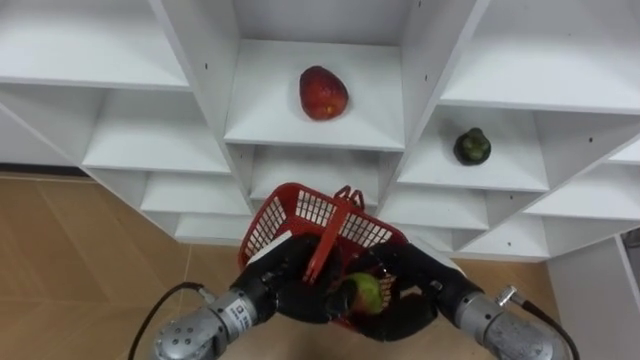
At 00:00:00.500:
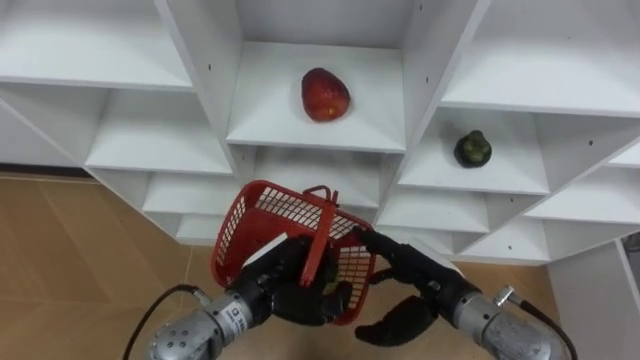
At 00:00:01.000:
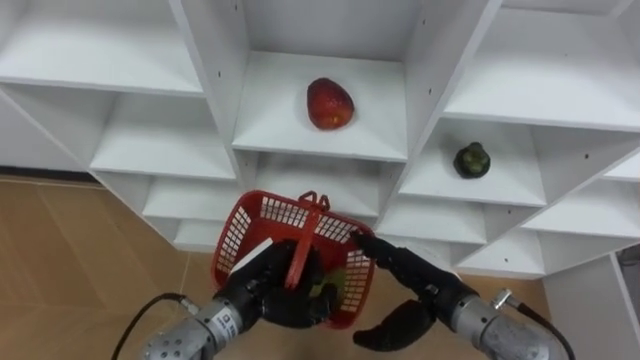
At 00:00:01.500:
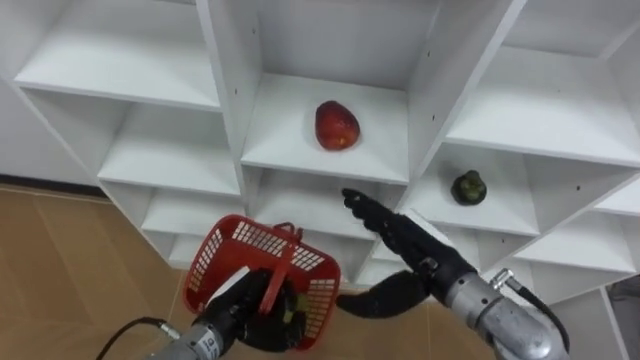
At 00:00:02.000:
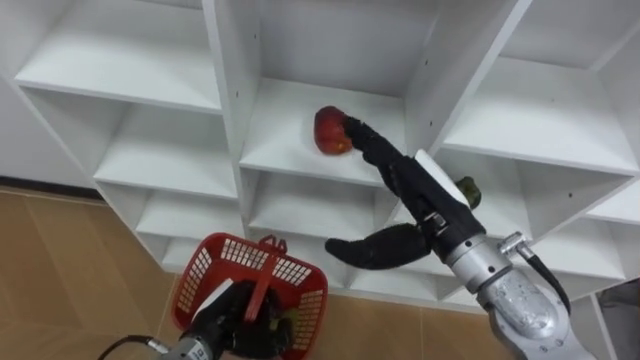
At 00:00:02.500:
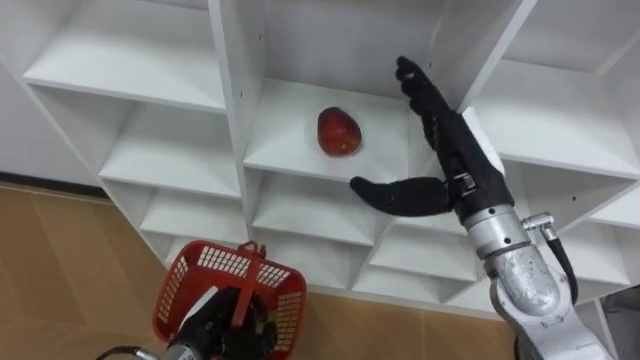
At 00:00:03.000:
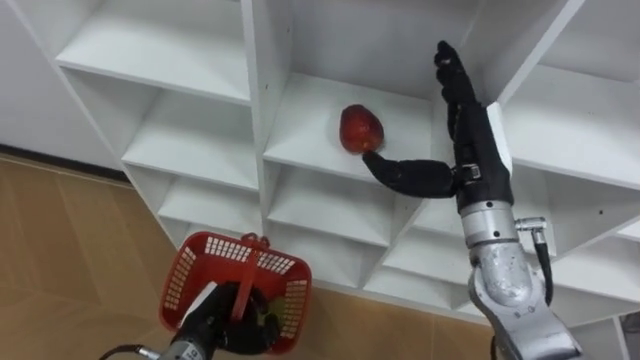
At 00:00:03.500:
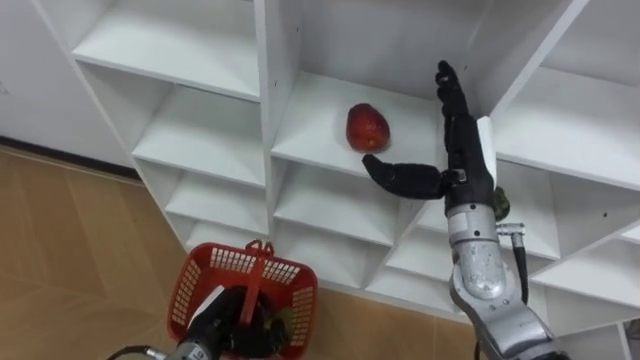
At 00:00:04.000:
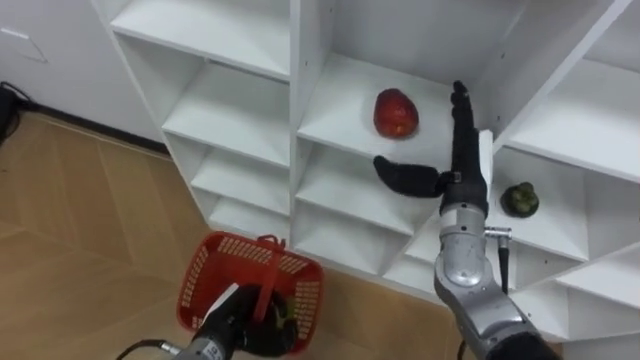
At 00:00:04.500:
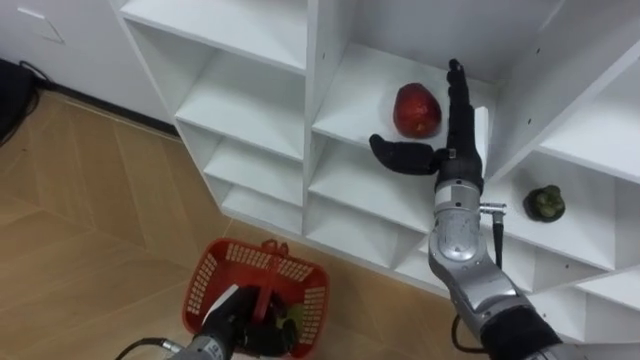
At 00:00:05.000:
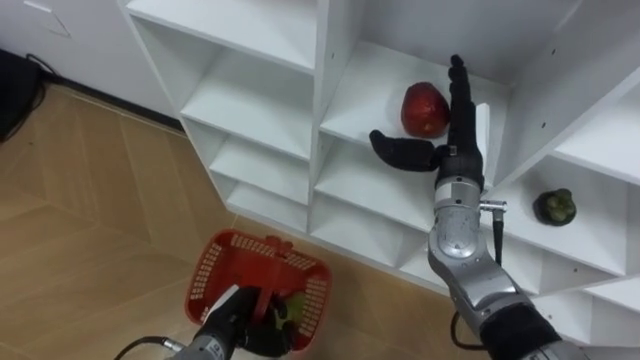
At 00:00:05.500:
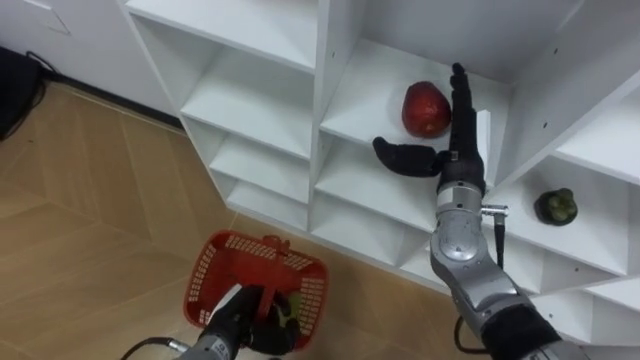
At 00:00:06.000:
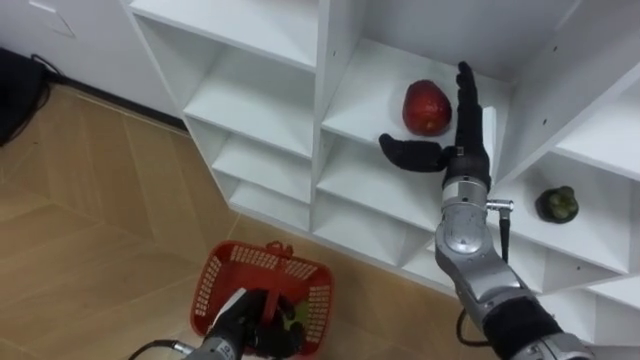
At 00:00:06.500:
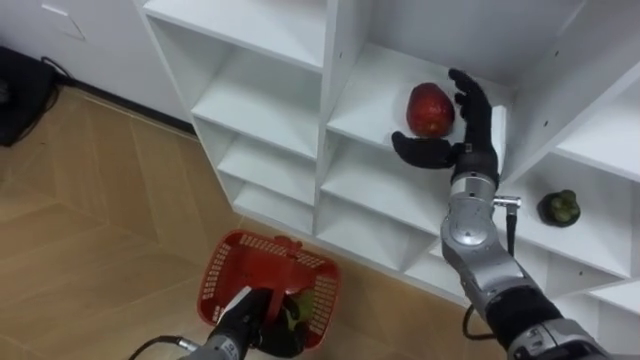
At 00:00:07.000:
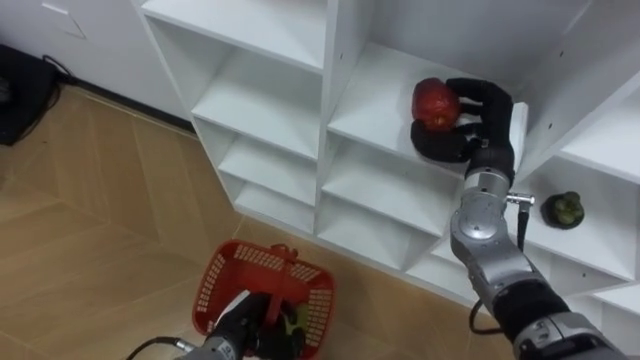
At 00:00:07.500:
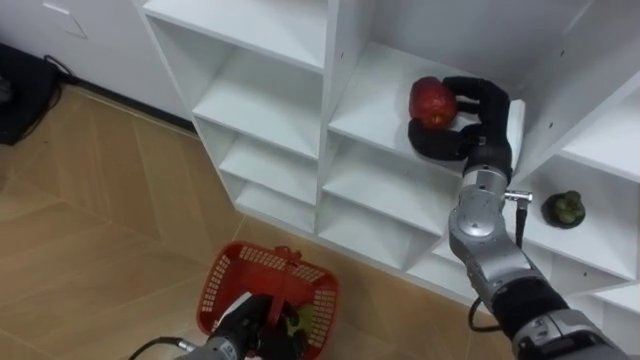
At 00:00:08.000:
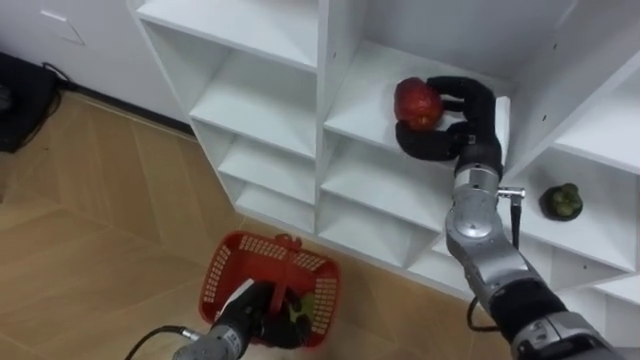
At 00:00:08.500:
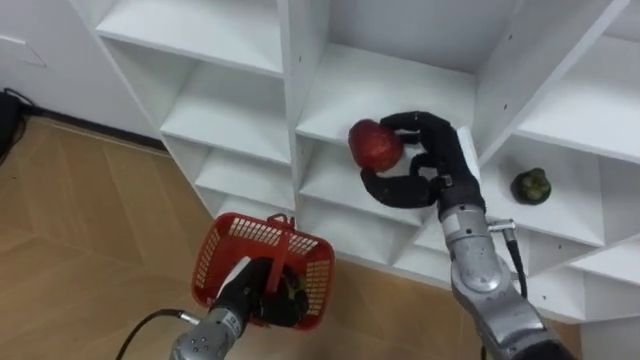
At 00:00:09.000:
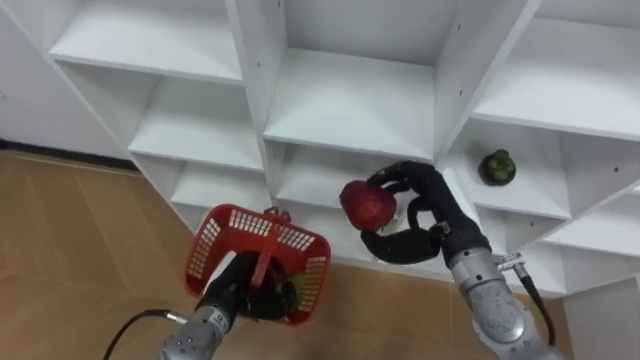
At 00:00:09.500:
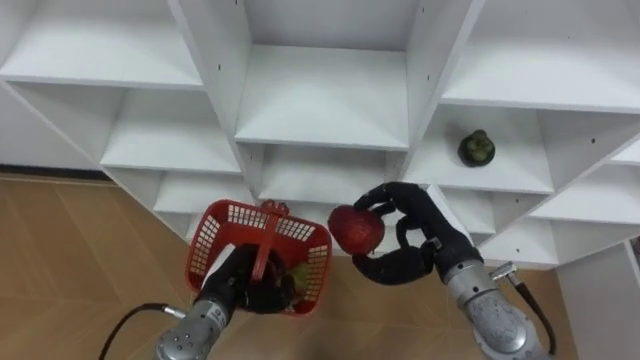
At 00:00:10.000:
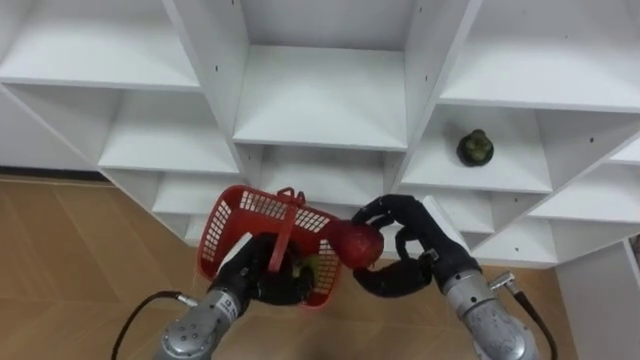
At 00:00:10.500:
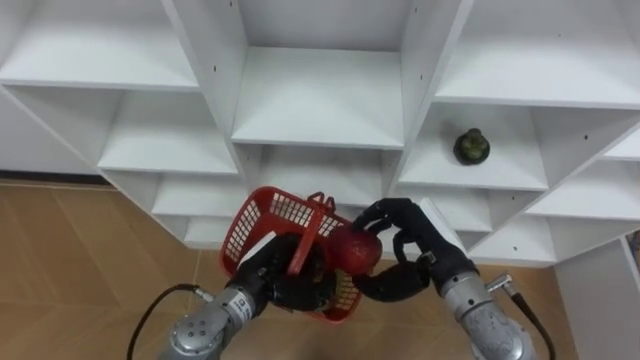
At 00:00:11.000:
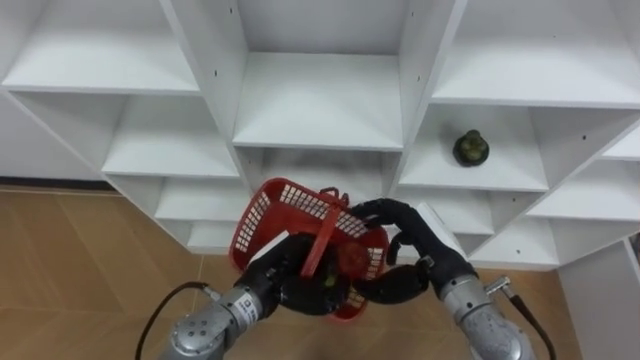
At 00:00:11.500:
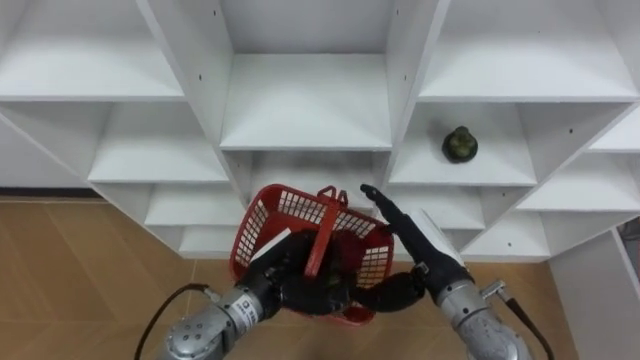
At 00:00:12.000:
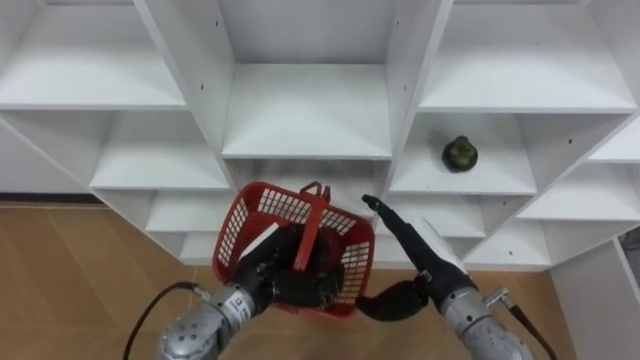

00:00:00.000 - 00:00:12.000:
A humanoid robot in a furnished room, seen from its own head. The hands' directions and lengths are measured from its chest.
Task of the whole recording: Hold the basket and collect the fruits from 3 different cells of the closet into it.
00:00:00.000 - 00:00:02.000: The left hand travels to the left and downward by some 10 cm, while the right hand moves upward, about 10 cm, and opens.
00:00:02.000 - 00:00:04.000: The right hand goes some 10 cm forward and to the right.
00:00:06.000 - 00:00:08.000: The right hand closes its fingers.
00:00:08.000 - 00:00:10.000: The left hand travels upward by about 5 cm, while the right hand goes some 15 cm backward and downward.
00:00:10.000 - 00:00:12.000: The left hand moves about 5 cm. The right hand opens its fingers.

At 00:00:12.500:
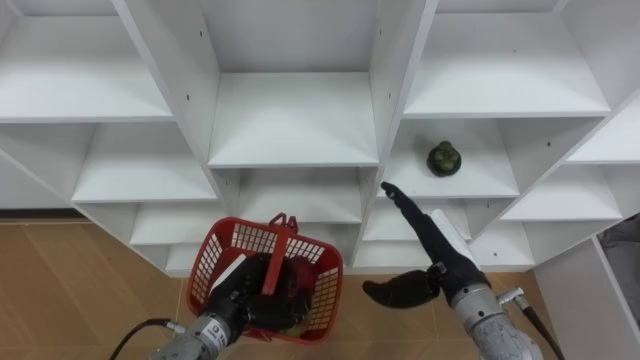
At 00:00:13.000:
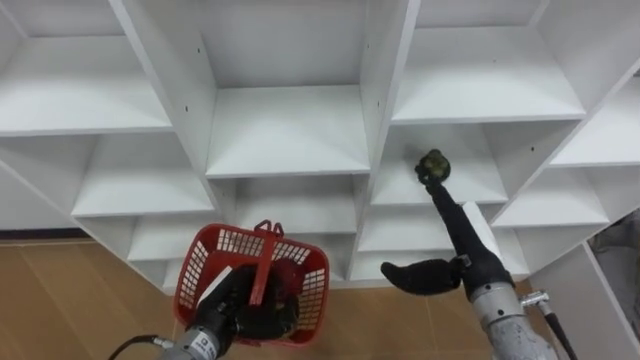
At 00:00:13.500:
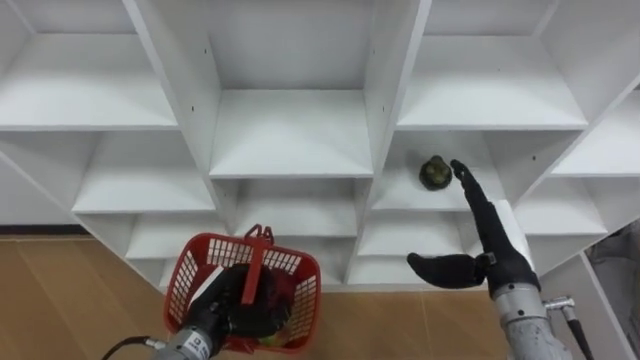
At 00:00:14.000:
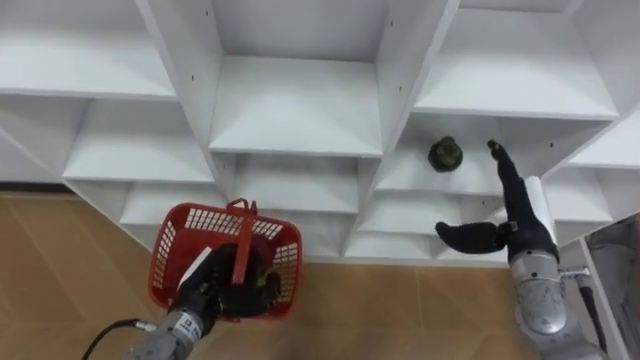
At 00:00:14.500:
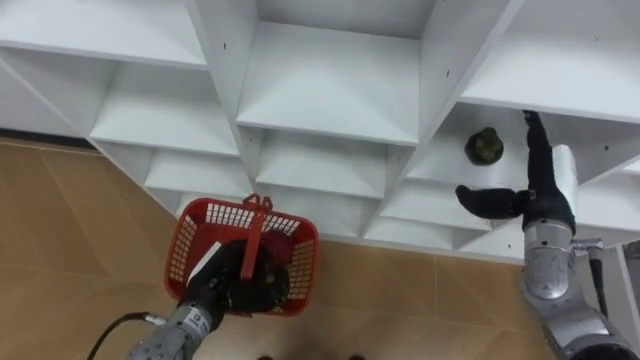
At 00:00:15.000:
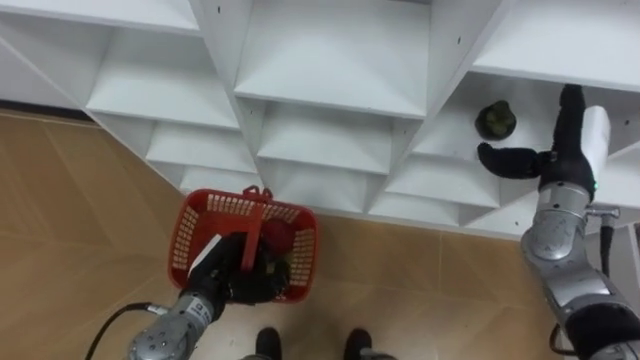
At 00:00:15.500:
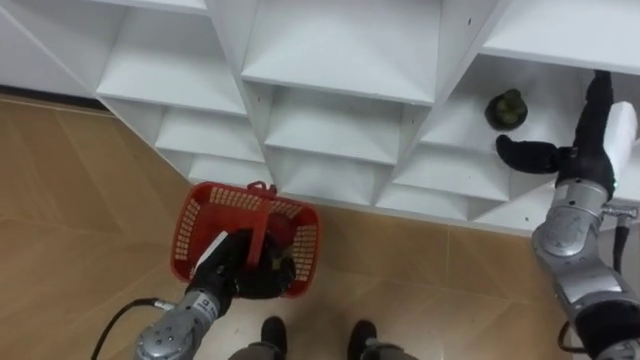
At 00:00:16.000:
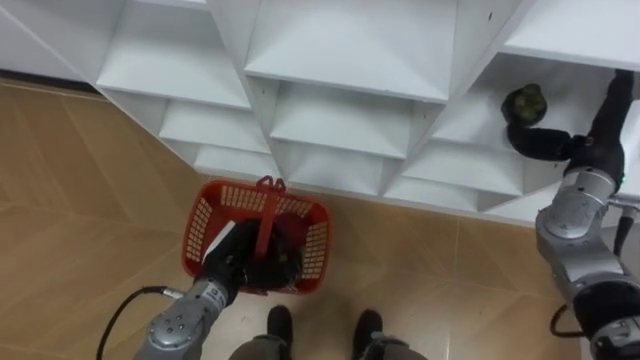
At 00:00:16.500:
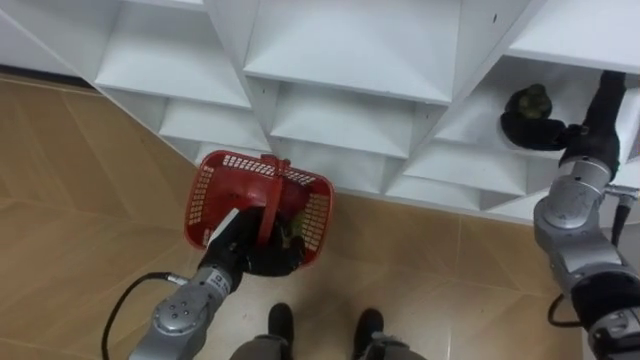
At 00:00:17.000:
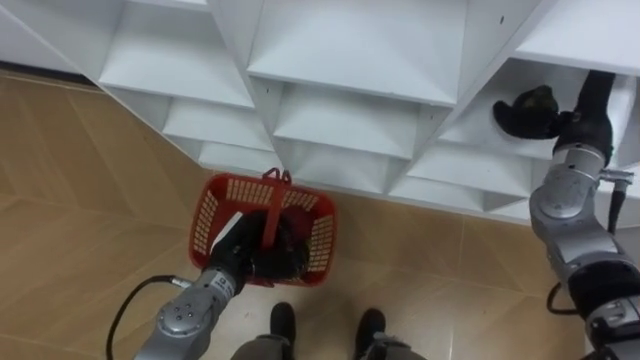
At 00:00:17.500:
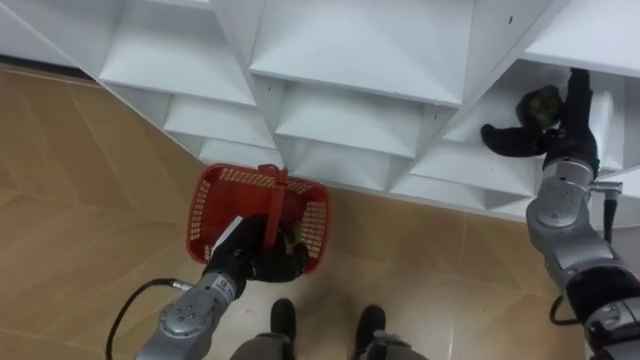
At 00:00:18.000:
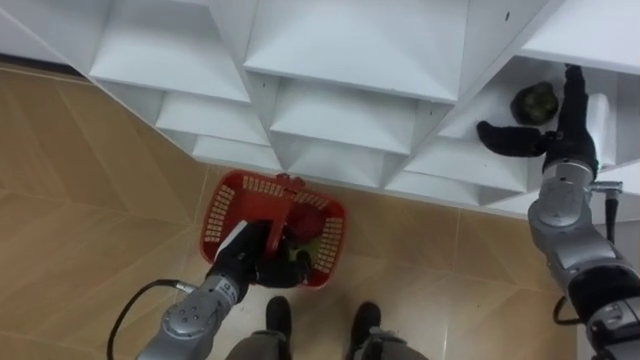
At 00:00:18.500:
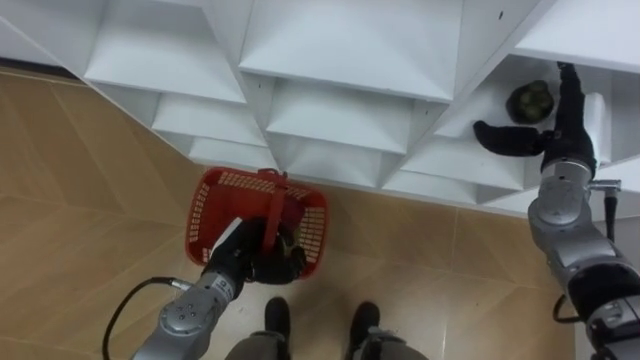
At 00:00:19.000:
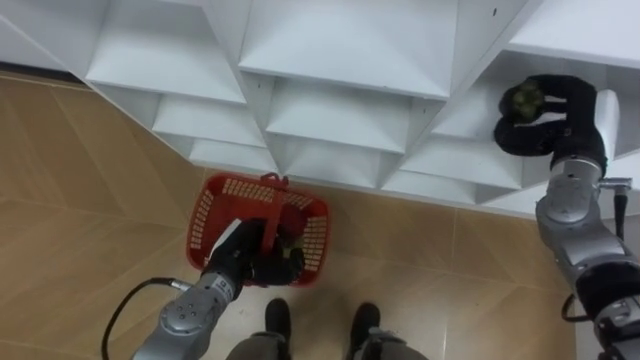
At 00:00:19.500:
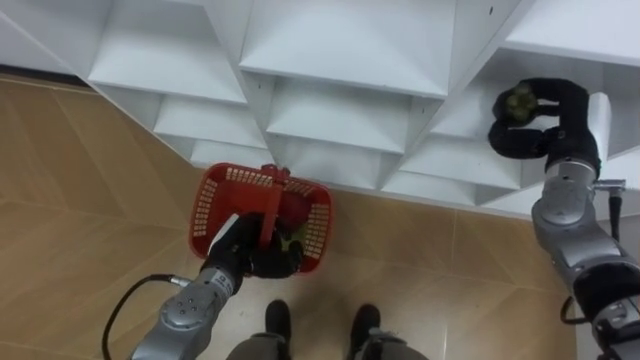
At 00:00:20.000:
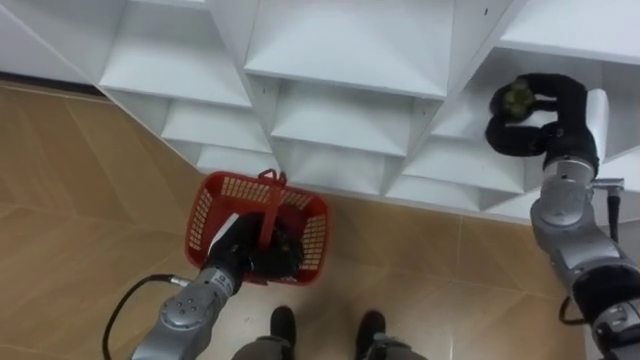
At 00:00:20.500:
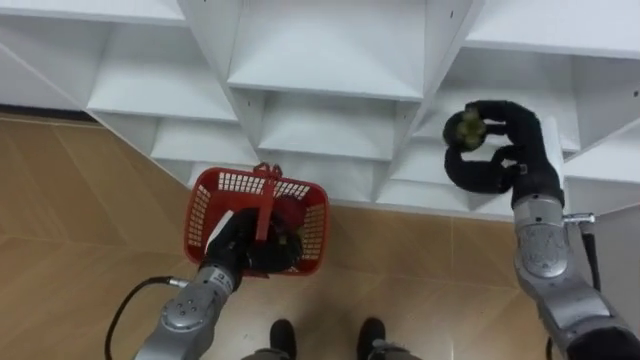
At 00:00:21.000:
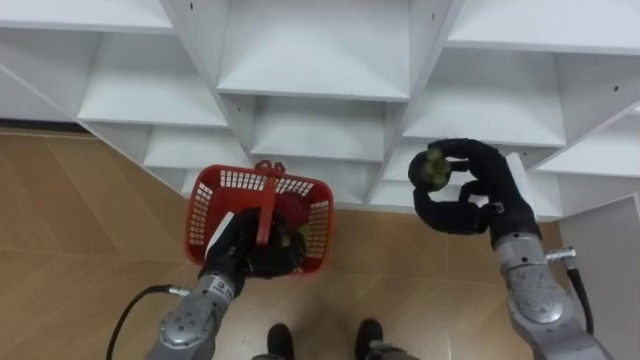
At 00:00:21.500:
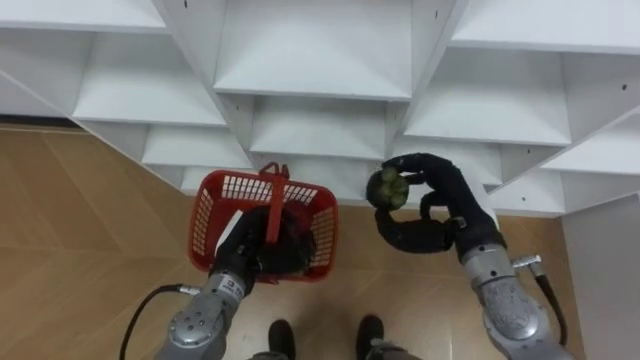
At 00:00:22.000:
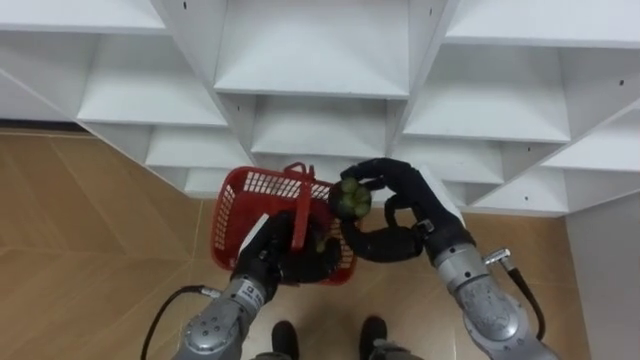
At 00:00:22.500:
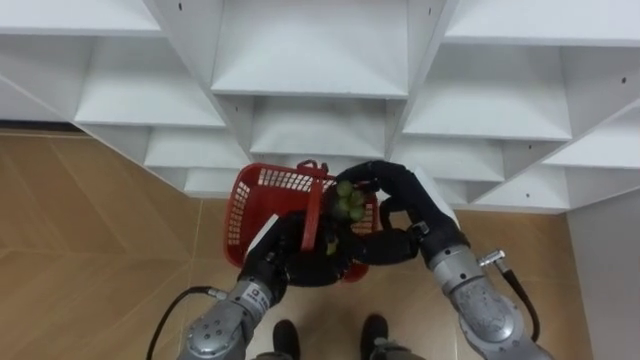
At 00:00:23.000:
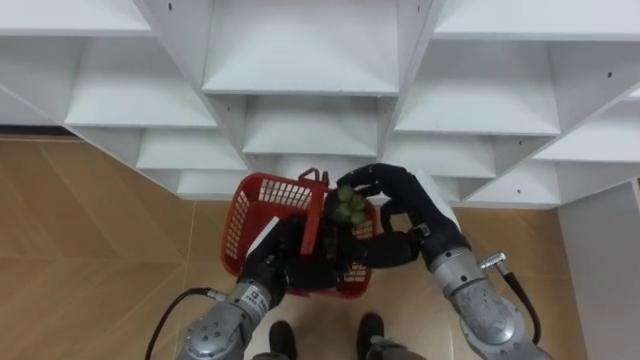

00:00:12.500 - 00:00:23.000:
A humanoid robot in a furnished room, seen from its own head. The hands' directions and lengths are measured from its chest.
Task of the whole recording: Hold the basket and collect the fruits from 3 different cells of the closet into it.
00:00:12.500 - 00:00:14.500: The right hand moves to the right and forward, roughly 15 cm.
00:00:14.500 - 00:00:16.500: The left hand moves about 5 cm. Meanwhile the right hand heads upward, covering some 5 cm.
00:00:16.500 - 00:00:19.000: The right hand closes up.
00:00:19.000 - 00:00:21.000: The right hand heads to the left and backward, covering some 10 cm.
00:00:21.000 - 00:00:23.000: The left hand is displaced to the right by about 5 cm. Meanwhile the right hand heads to the left, covering roughly 10 cm.
